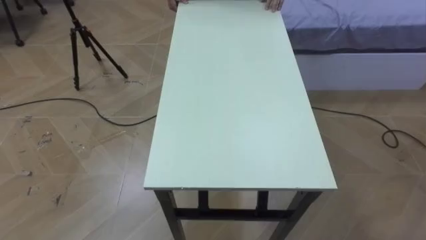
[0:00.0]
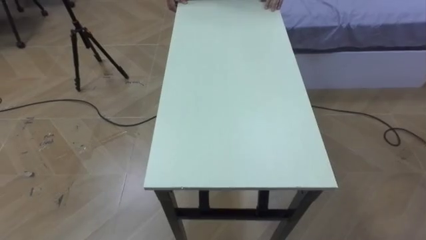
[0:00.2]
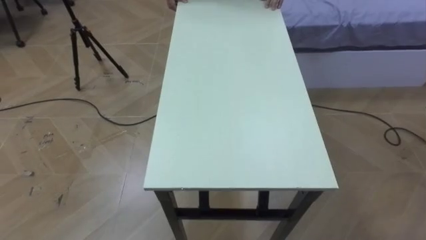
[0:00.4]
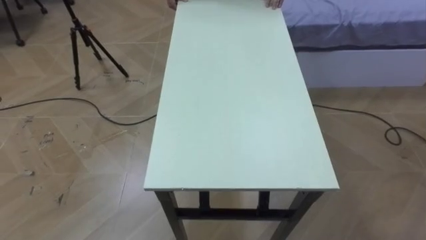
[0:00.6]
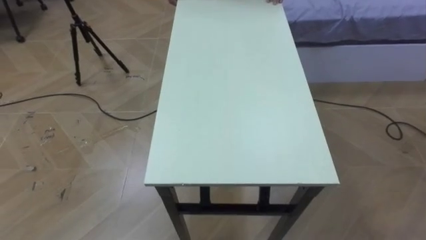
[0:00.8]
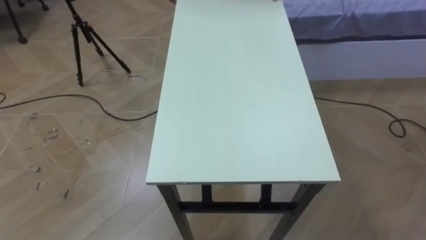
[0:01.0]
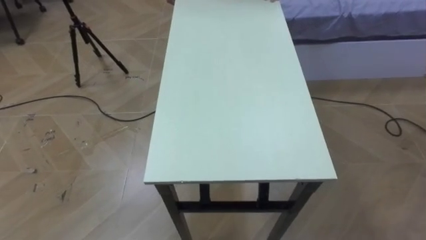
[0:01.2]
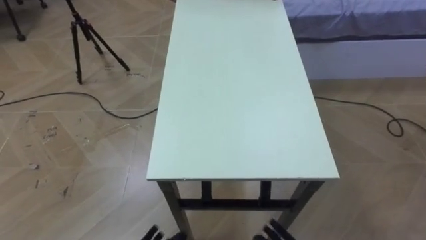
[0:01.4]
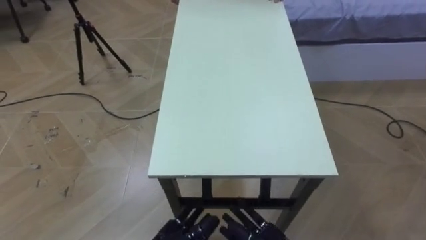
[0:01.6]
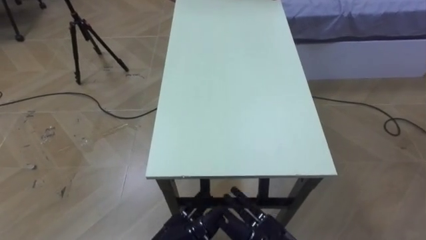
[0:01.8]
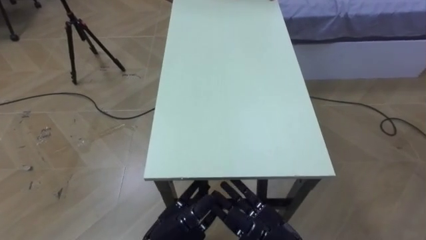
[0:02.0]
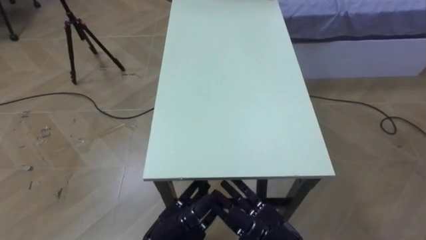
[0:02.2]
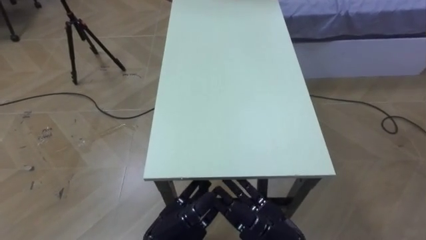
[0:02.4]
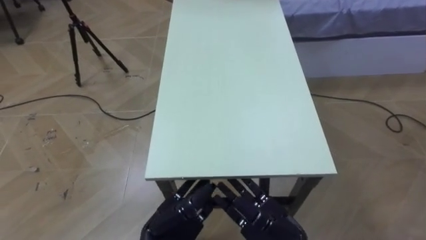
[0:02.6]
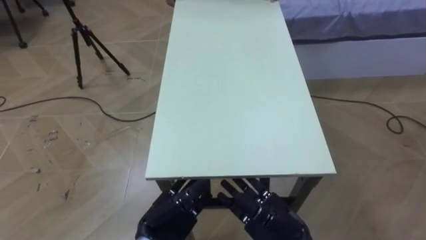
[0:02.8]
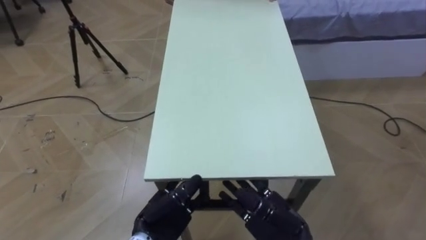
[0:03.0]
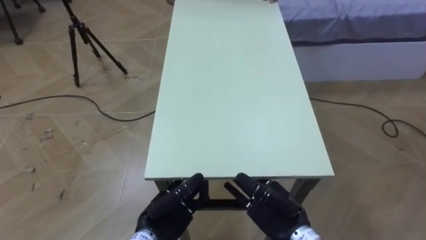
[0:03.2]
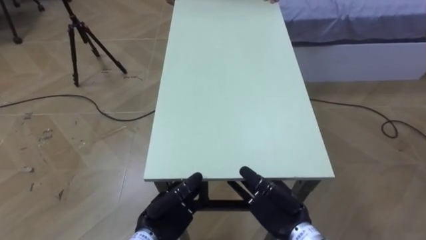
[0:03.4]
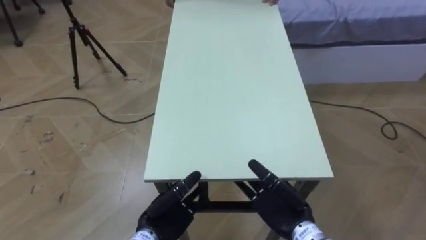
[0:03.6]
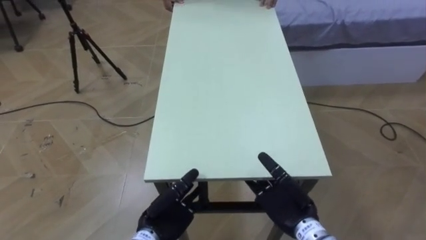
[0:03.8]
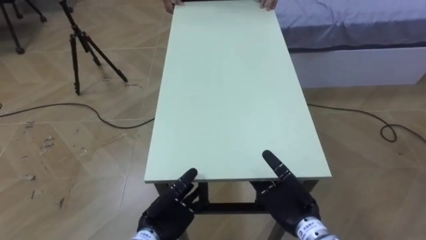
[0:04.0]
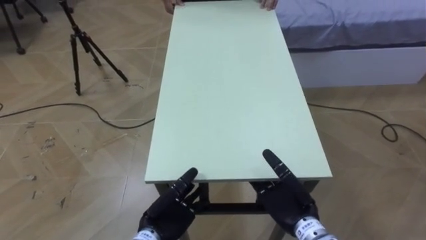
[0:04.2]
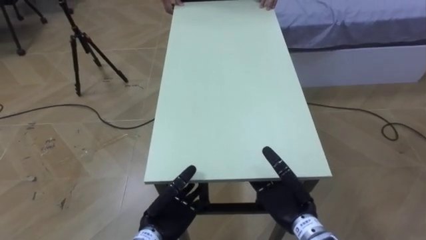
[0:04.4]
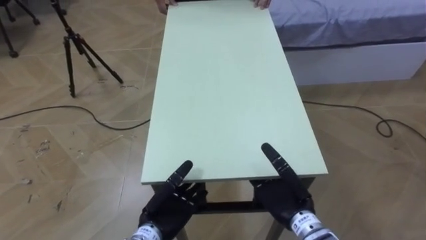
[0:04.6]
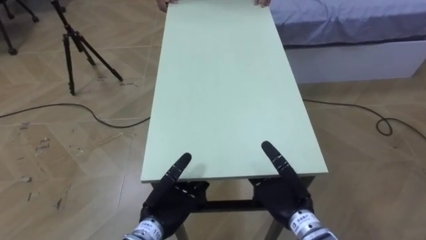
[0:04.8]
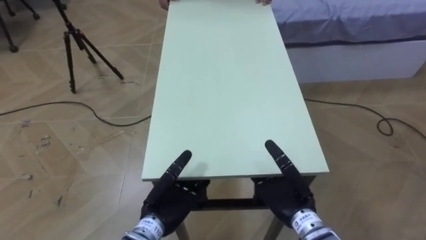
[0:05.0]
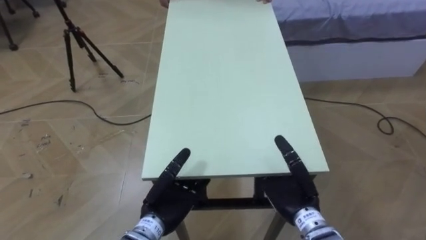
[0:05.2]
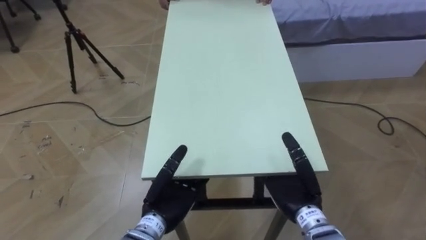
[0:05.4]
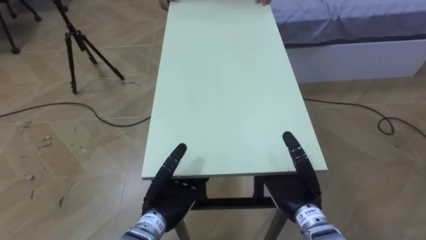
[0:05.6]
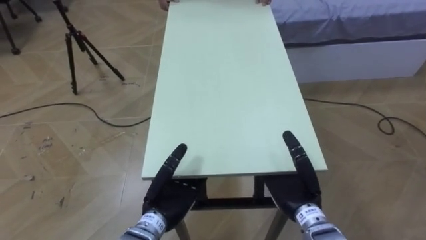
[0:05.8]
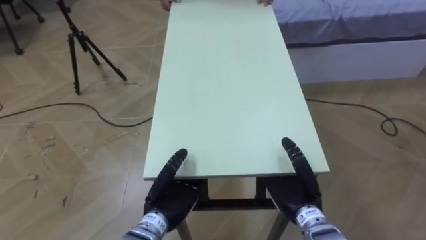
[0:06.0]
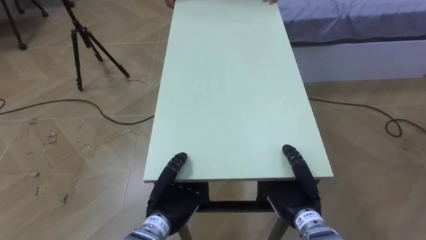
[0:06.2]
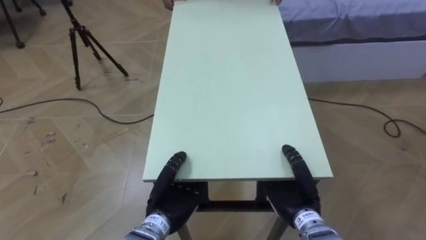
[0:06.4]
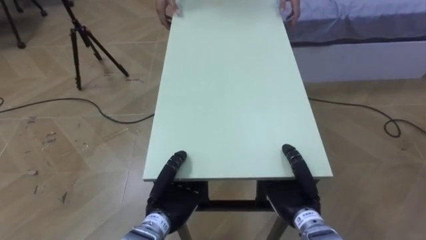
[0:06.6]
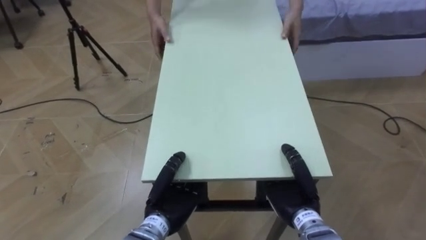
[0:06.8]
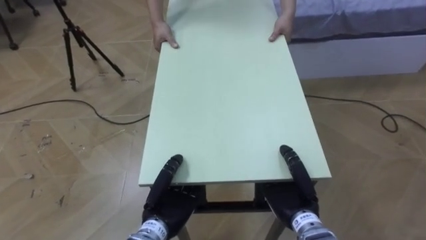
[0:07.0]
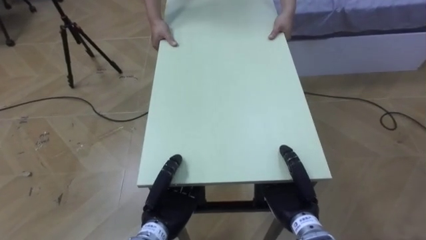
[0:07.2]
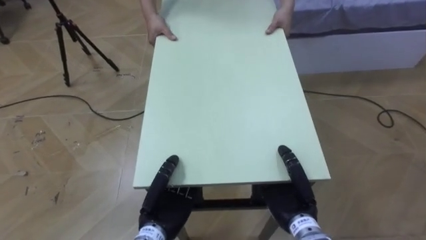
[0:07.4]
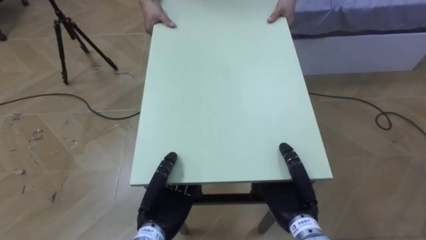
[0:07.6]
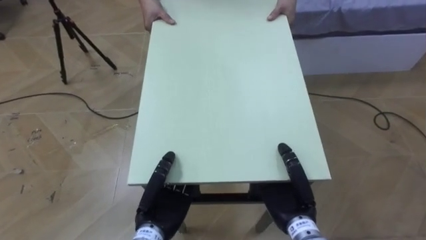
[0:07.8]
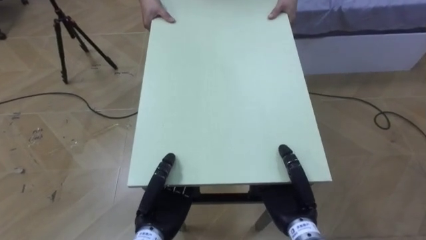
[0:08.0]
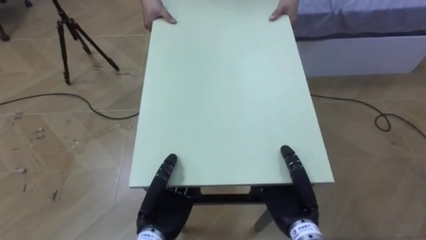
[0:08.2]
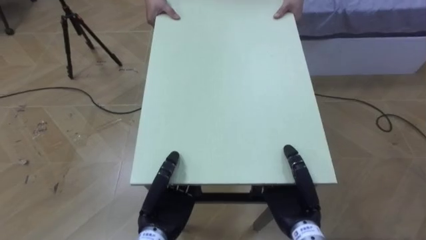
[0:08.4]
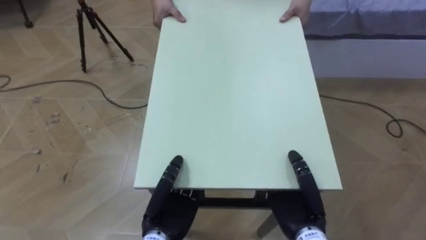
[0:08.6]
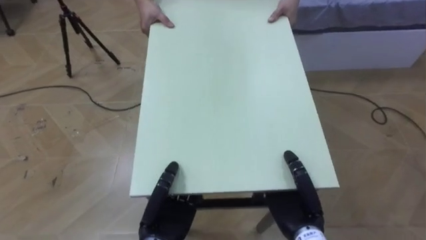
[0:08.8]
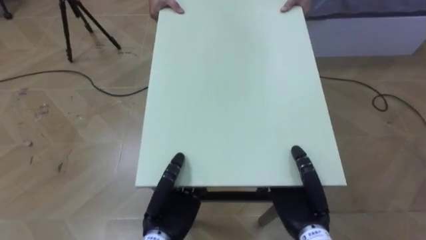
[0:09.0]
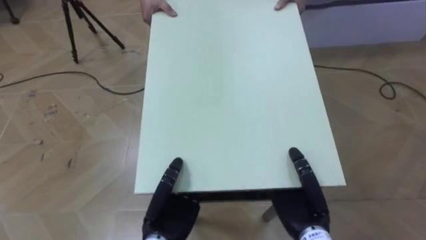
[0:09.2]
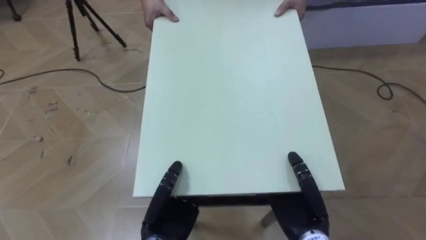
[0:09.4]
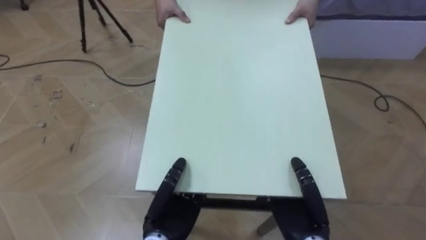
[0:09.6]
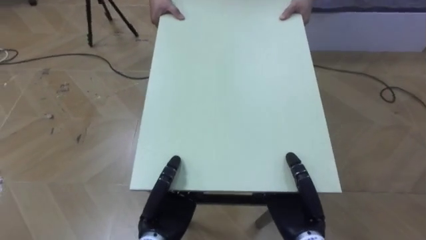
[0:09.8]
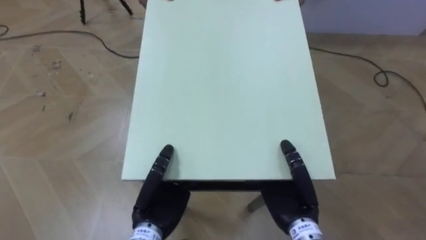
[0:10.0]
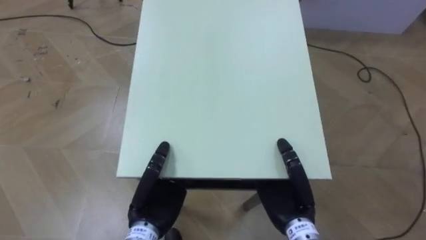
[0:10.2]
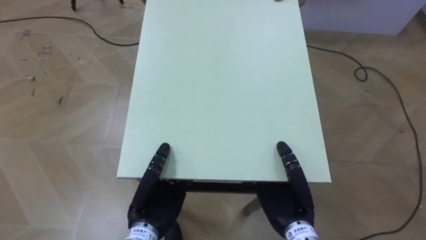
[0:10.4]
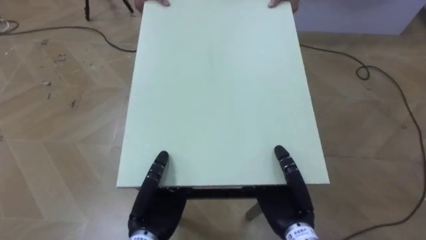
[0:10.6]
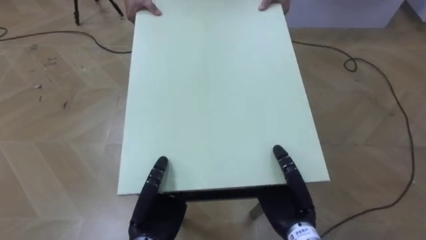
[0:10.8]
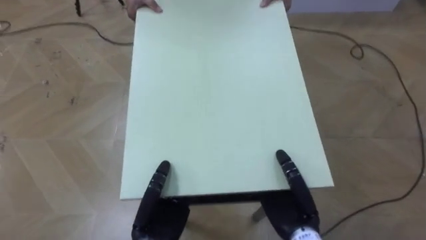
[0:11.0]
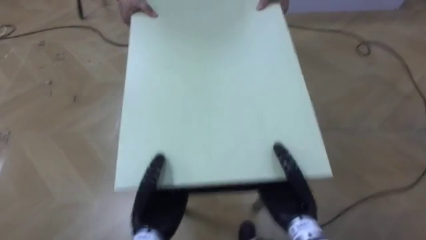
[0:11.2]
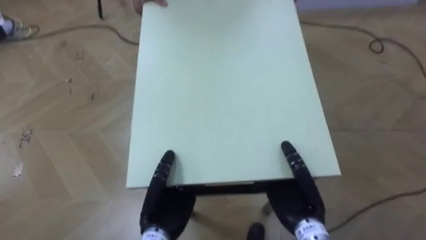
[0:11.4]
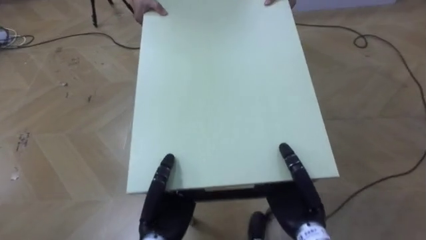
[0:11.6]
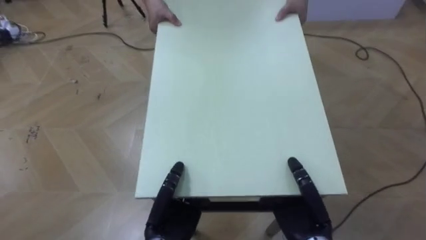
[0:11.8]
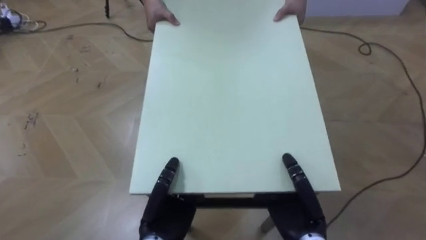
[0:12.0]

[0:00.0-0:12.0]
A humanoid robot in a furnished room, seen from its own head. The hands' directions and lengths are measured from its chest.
Task of the whole recording: Move the table to the back left with someone.
0:03.0 to 0:04.4: The right hand shifts by about 5 cm.
0:04.4 to 0:07.6: There are only small adjustments of the hands.

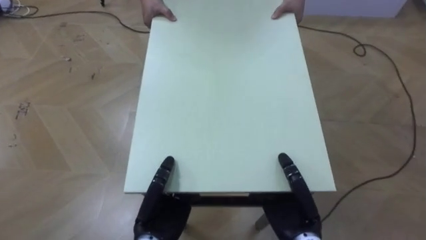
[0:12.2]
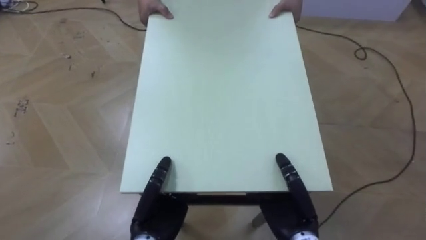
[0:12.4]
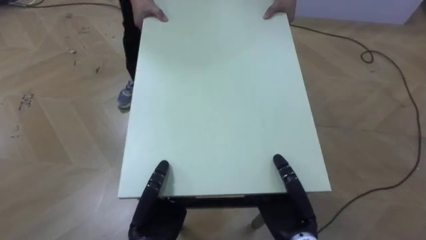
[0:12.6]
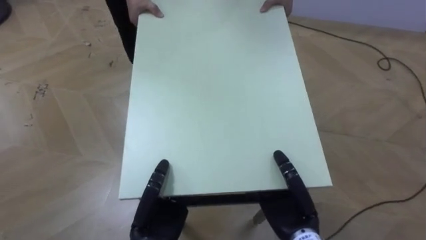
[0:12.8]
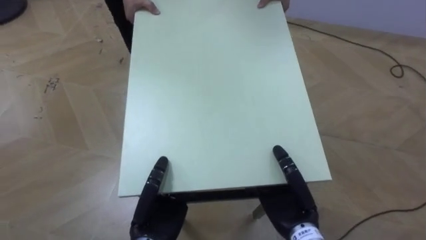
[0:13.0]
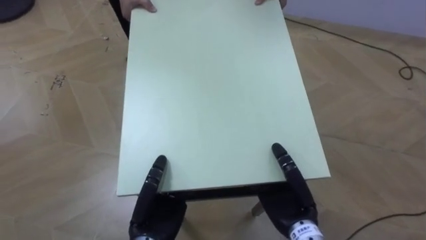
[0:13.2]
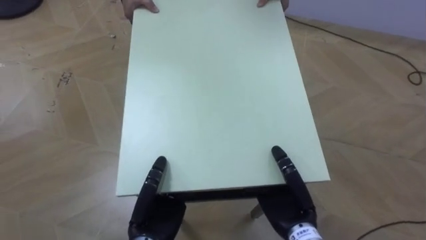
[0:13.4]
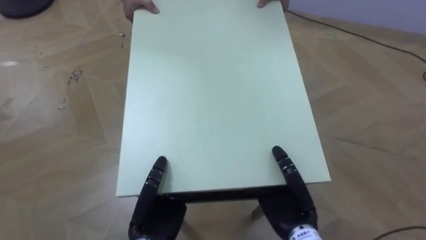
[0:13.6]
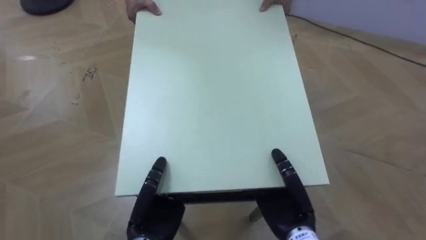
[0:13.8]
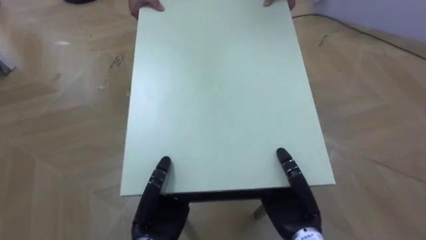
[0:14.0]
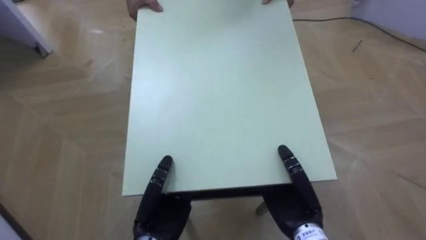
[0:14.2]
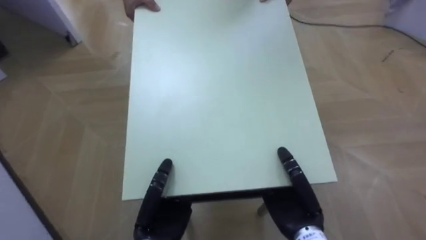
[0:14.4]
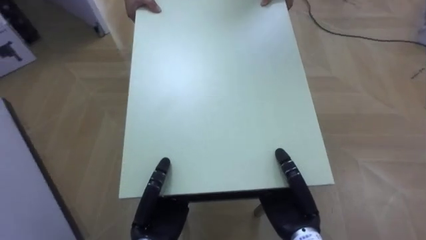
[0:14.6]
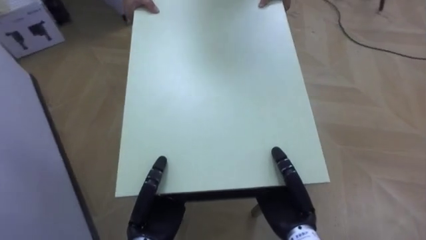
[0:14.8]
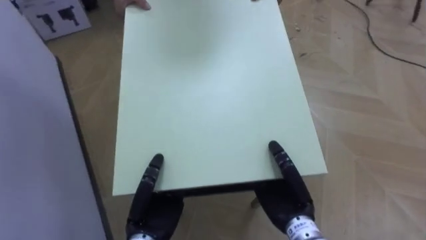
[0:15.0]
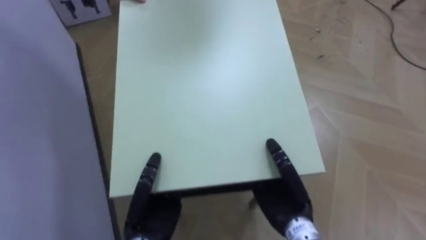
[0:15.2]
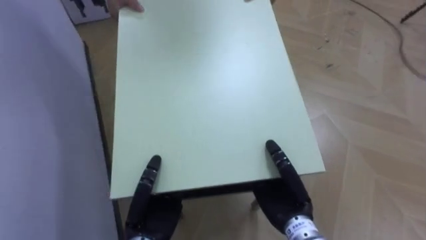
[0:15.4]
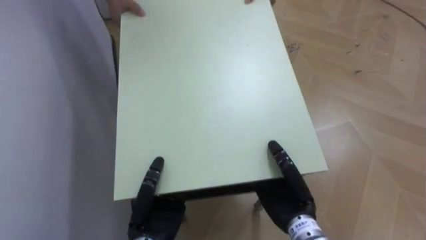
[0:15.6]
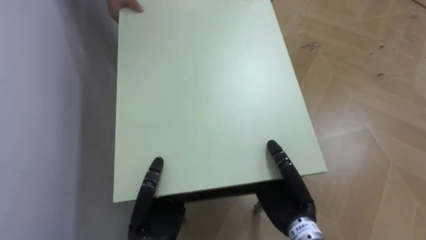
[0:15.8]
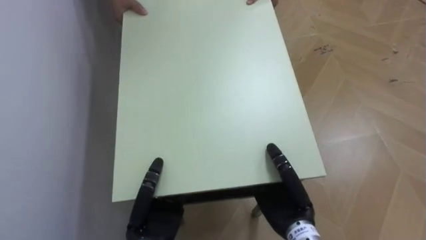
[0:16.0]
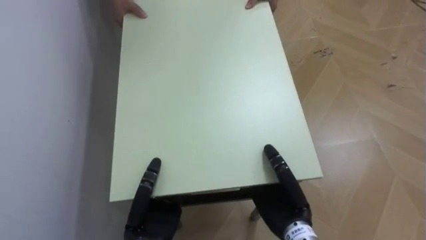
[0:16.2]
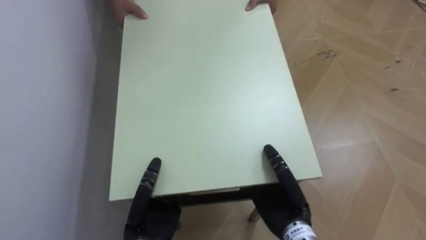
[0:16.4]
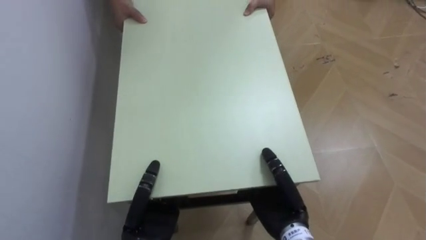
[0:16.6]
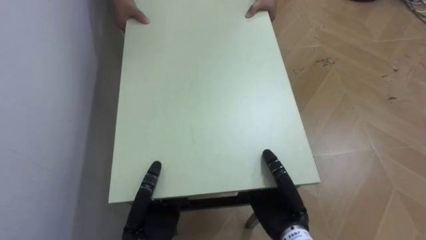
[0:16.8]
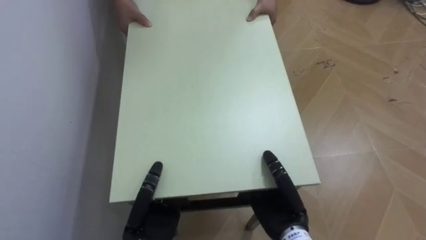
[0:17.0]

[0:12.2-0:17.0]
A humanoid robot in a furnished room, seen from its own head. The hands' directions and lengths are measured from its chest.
Task of the whole recording: Move the table to the back left with someone.
0:12.2 to 0:13.8: The robot's body swings about 15 degrees to its left.
0:13.8 to 0:15.4: The robot rotates roughly 50 degrees to its left.
